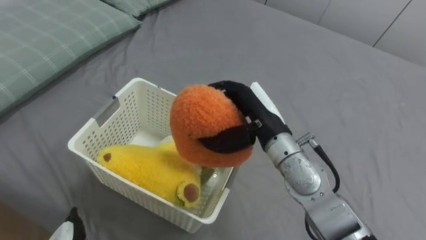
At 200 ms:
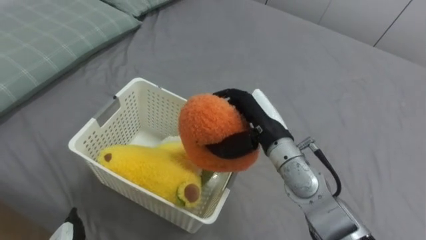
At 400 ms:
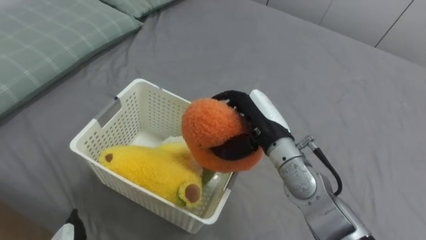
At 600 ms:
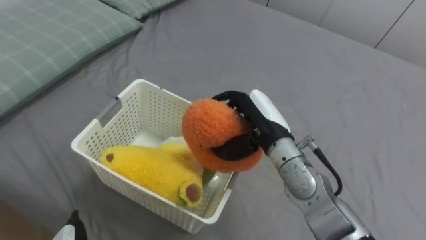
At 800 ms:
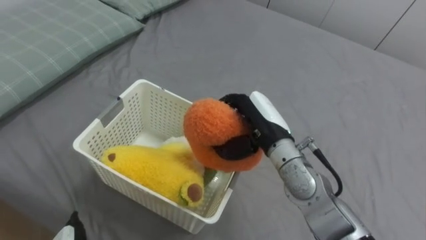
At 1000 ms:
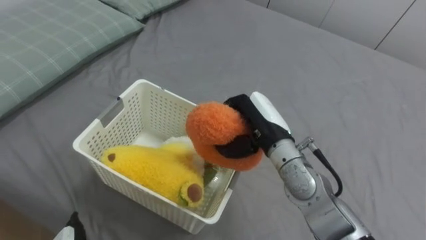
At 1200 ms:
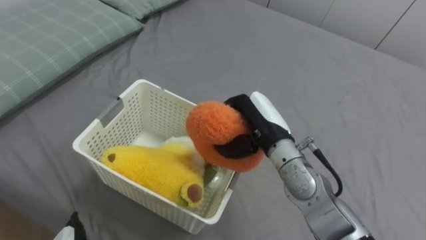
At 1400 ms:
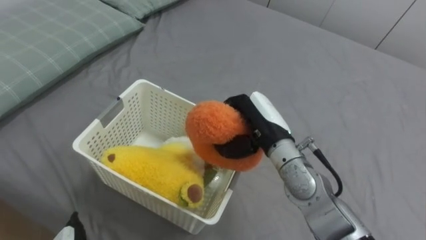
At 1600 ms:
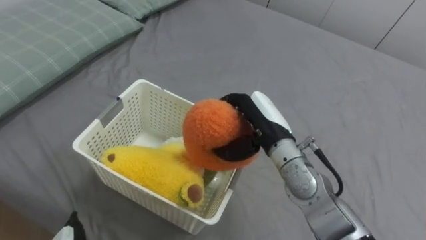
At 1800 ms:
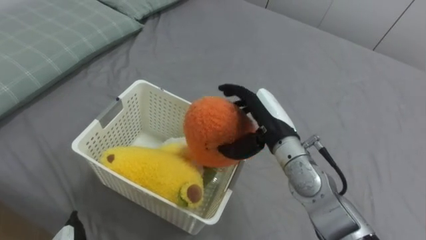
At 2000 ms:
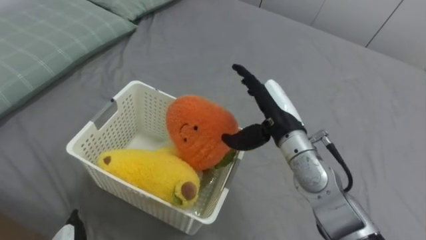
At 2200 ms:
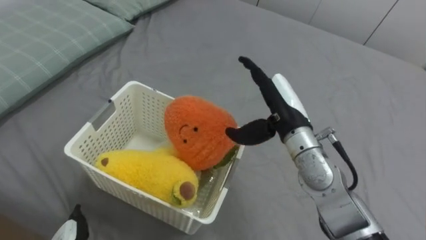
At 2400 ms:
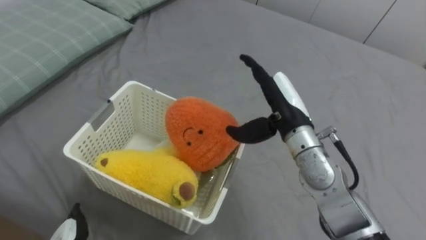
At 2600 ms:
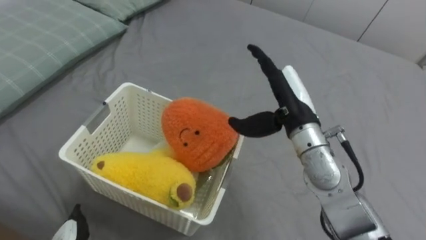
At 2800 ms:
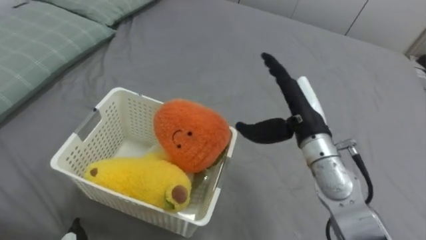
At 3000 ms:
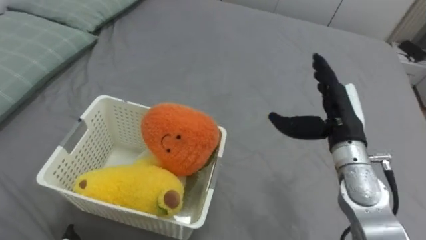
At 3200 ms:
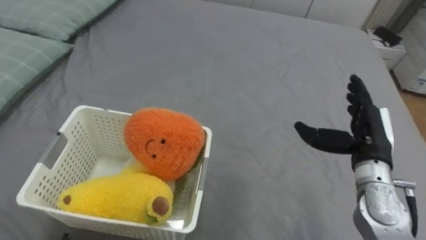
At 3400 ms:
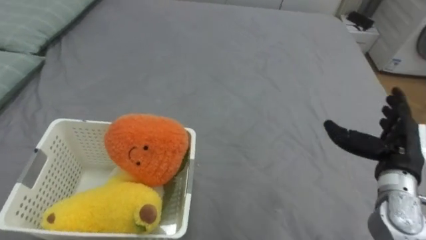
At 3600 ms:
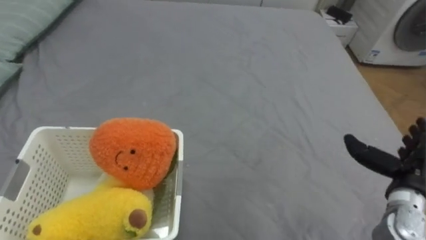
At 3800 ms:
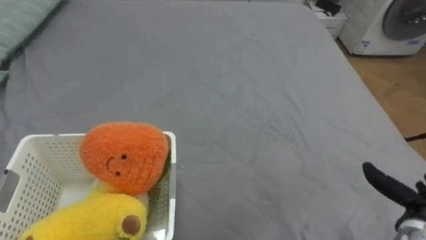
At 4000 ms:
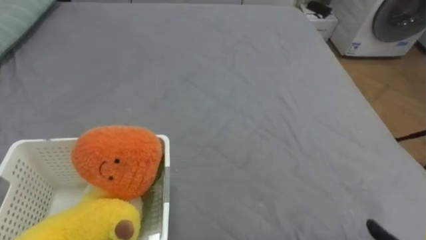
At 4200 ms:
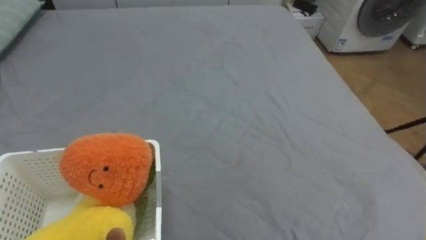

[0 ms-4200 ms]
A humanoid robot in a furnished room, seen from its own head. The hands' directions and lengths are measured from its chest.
Task of the whole recording: Put the toys on the bed into the basket on the left.
1400 ms to 2800 ms: The right hand moves to the right, about 5 cm, and opens up.

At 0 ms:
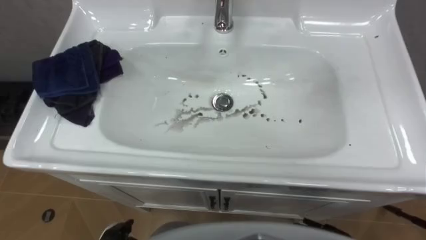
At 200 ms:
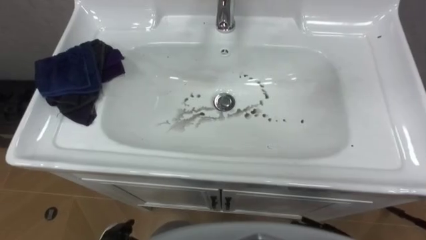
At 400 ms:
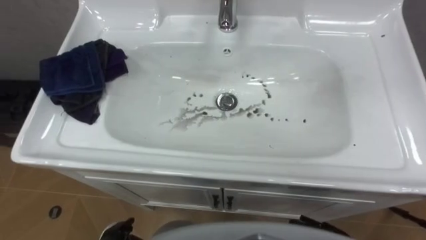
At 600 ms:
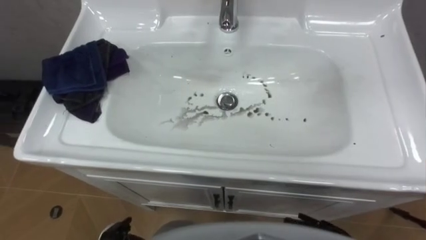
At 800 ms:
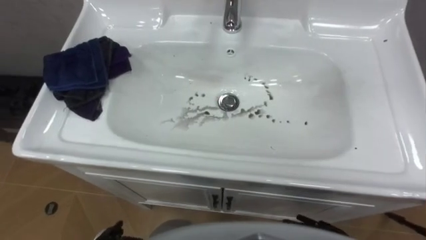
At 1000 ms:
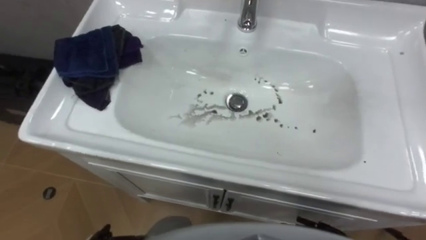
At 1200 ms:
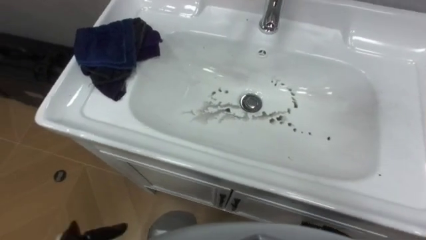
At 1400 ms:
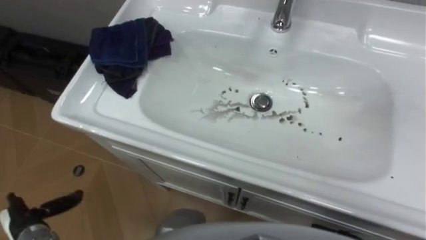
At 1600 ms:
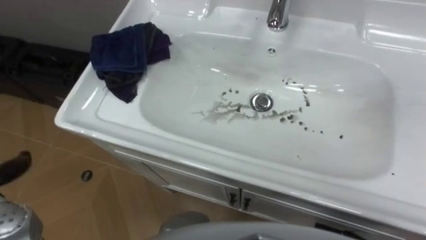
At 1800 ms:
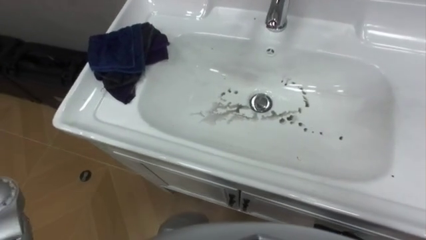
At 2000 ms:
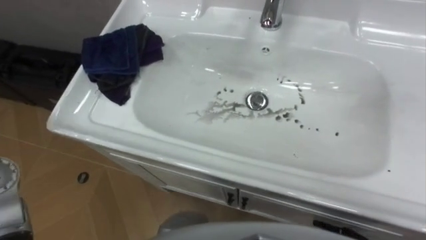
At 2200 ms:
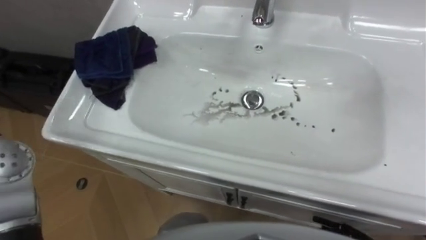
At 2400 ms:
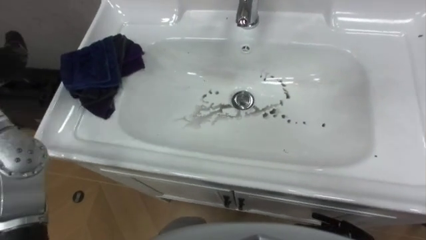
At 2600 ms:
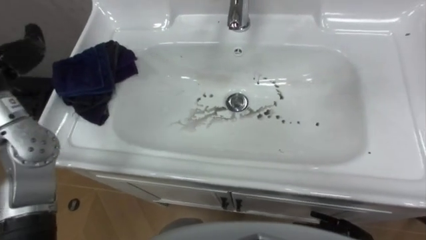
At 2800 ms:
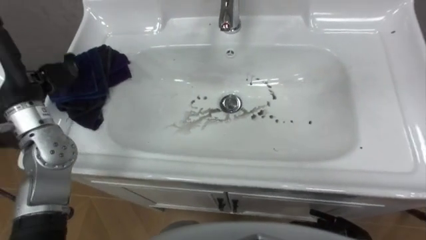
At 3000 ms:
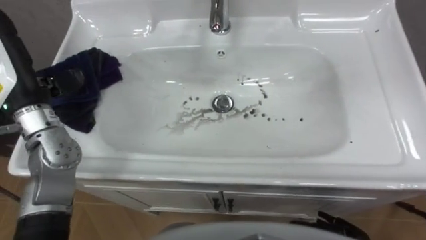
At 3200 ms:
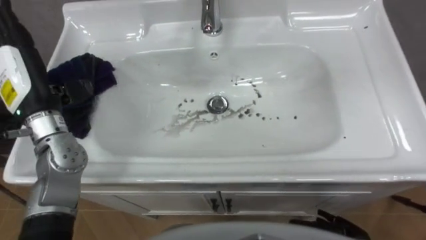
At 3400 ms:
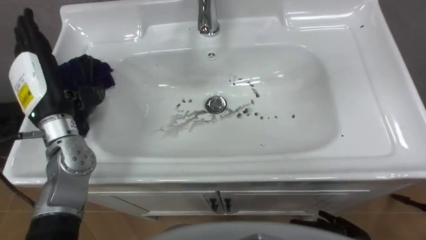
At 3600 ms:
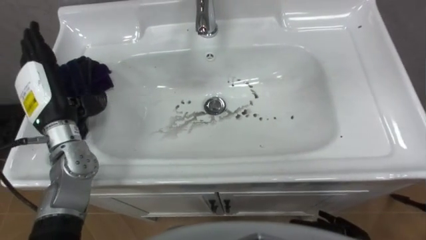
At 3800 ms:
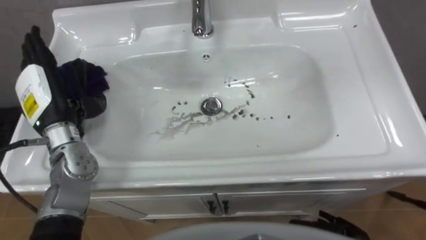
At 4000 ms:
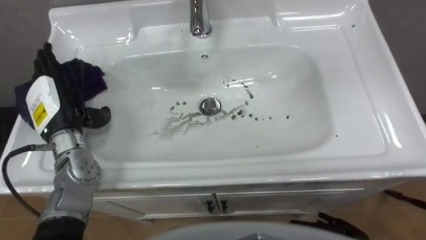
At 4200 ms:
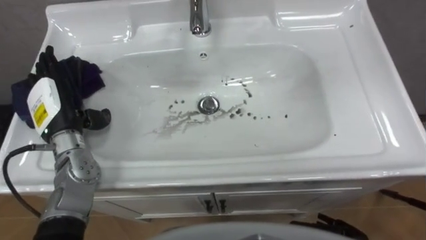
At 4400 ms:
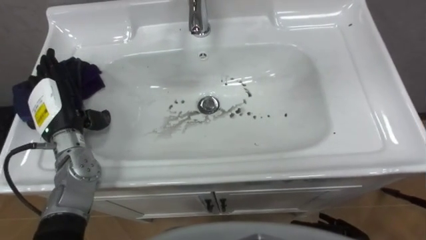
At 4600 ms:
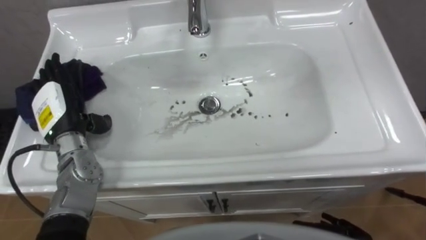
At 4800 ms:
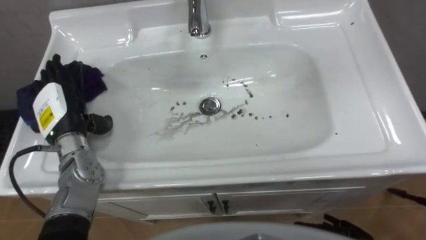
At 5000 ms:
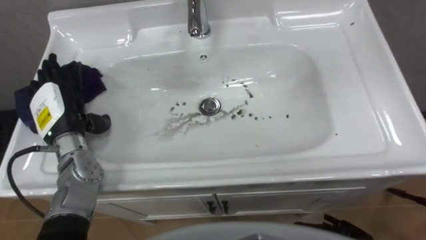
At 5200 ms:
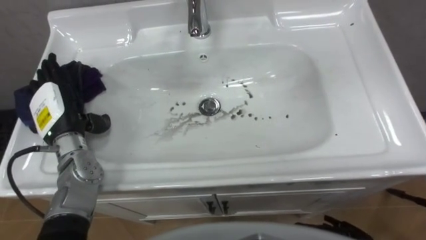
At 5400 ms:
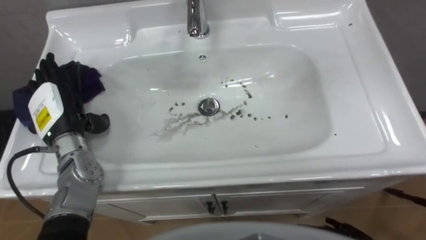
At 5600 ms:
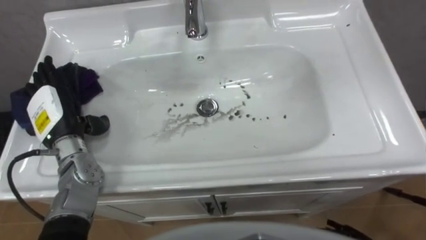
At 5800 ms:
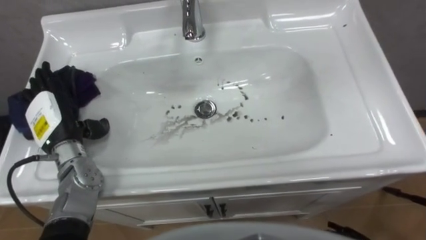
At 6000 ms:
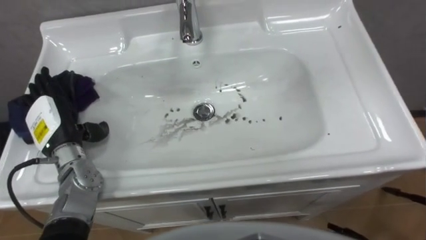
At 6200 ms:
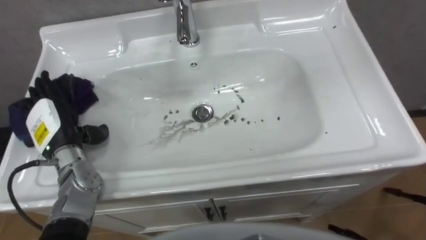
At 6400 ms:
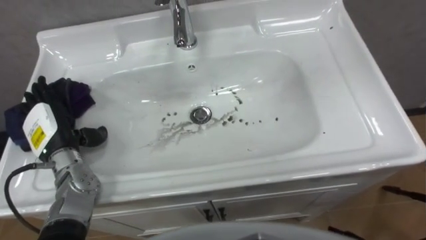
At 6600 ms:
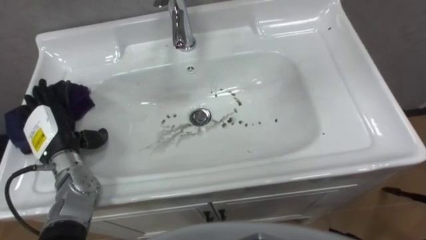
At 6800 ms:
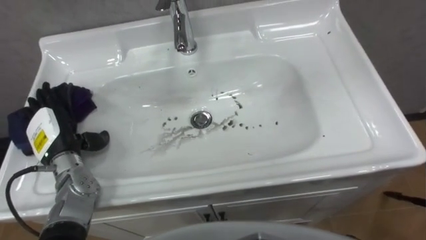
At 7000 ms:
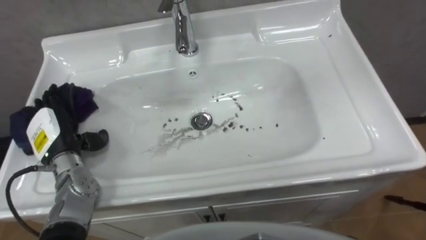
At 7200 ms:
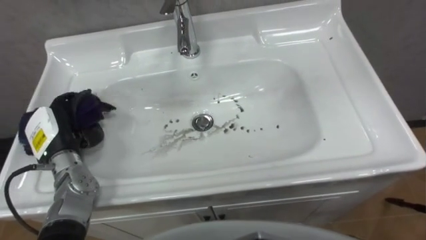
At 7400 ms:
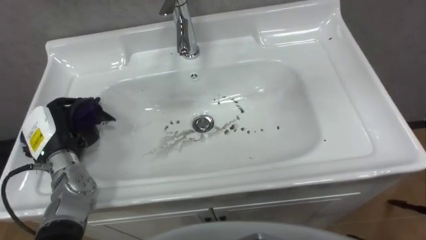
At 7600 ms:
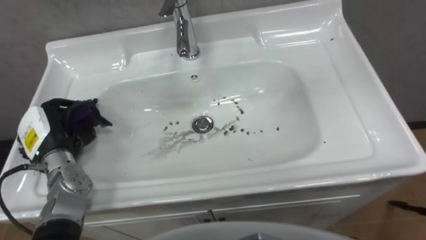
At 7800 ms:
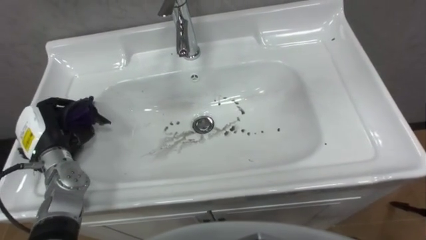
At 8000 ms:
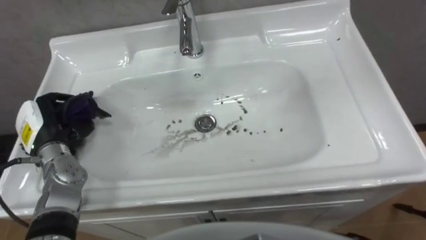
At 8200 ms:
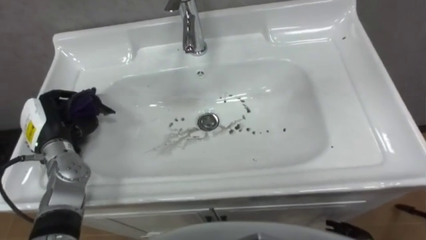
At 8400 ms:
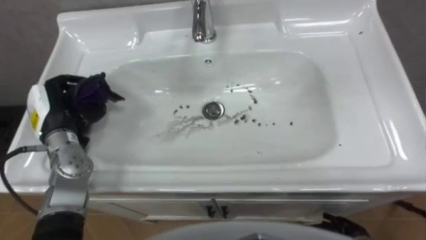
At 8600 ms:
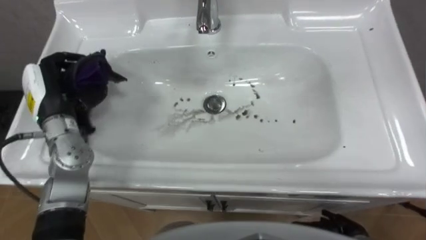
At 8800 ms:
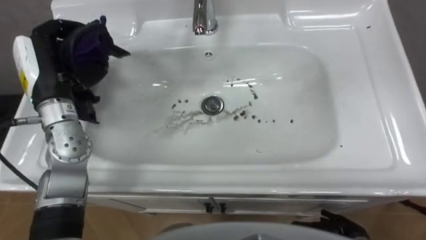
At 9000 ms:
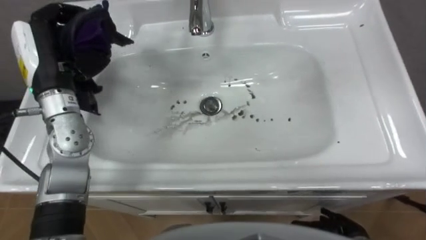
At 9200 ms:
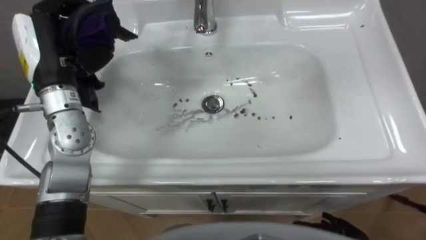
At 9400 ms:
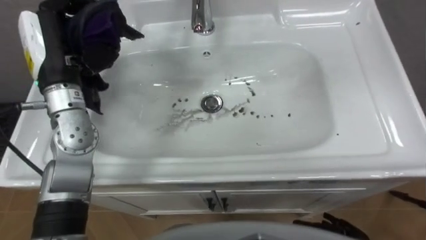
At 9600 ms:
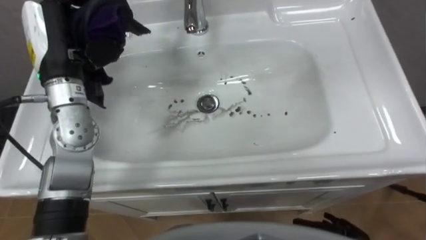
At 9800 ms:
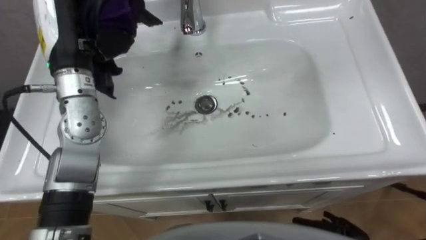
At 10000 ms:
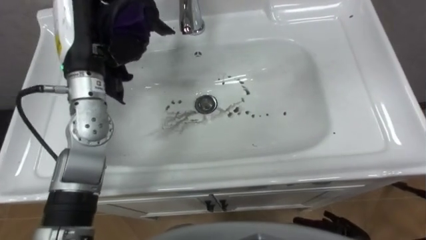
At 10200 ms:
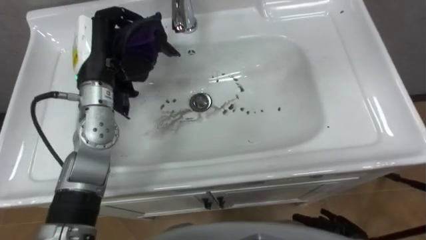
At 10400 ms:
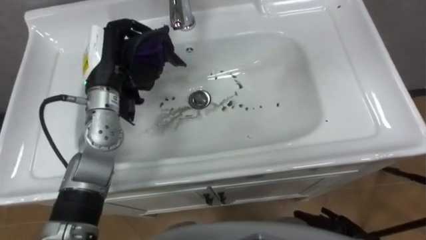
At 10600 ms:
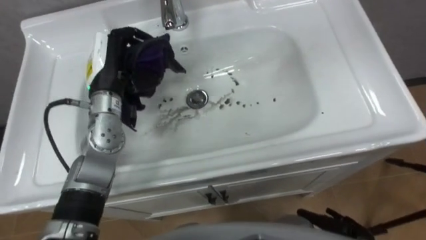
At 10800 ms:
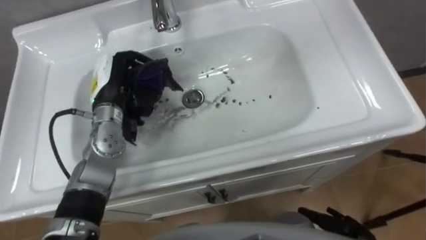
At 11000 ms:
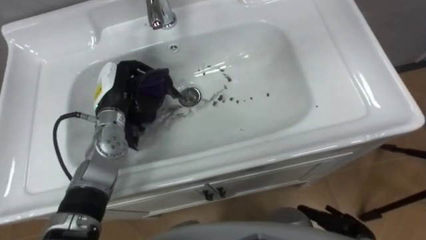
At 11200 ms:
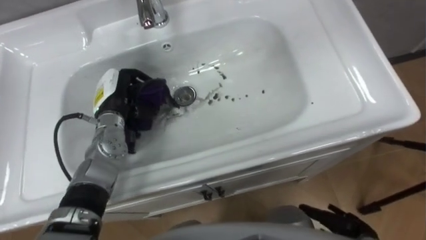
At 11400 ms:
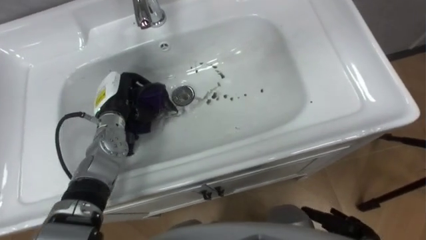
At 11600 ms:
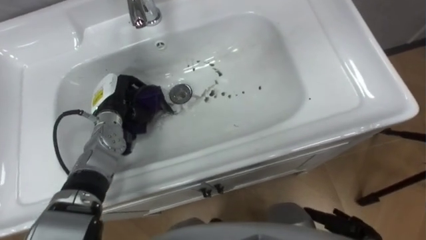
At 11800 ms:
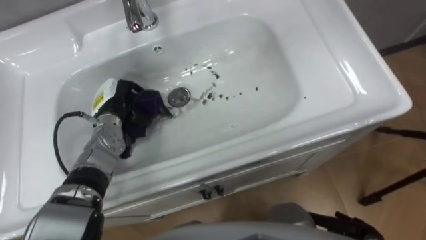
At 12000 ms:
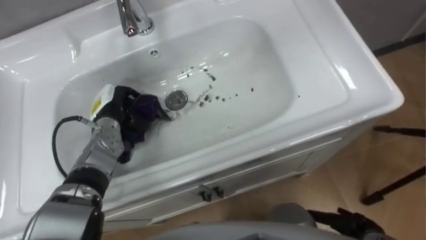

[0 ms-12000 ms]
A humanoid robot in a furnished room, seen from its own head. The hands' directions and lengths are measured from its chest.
Task of the whole recording: Use the cloth on the right to wipe away the black stain in the sink.
3000 ms to 4400 ms: The left hand shifts approximately 10 cm downward.
6000 ms to 7600 ms: The left hand closes its fingers.
7600 ms to 9000 ms: The left hand moves upward and forward, some 15 cm.
9000 ms to 10400 ms: The left hand moves to the right, about 5 cm.
10400 ms to 12000 ms: The left hand is displaced downward by about 15 cm.
